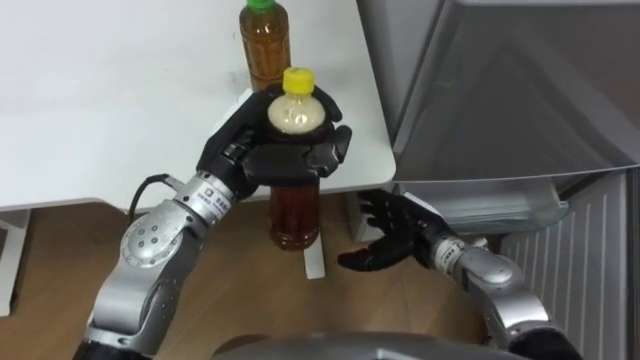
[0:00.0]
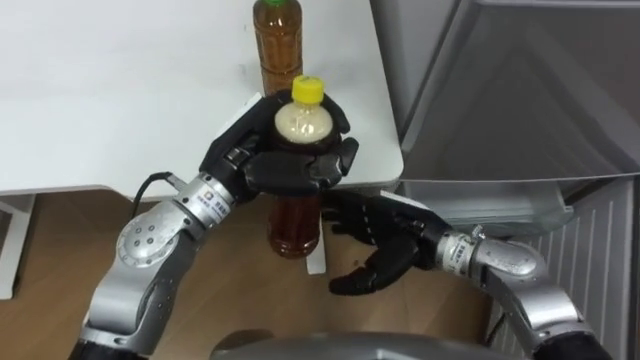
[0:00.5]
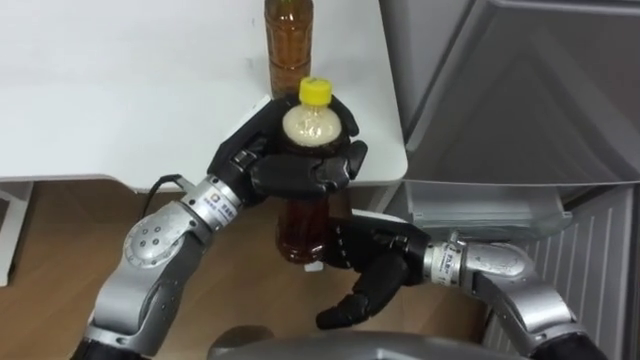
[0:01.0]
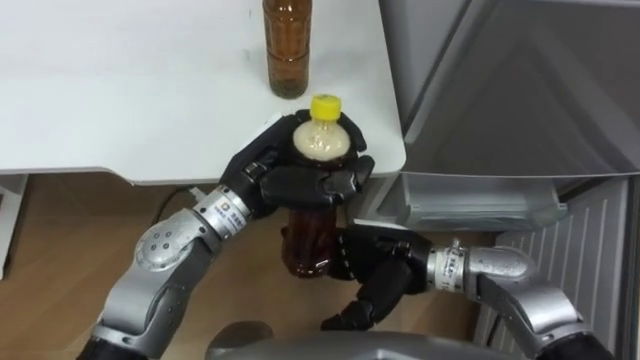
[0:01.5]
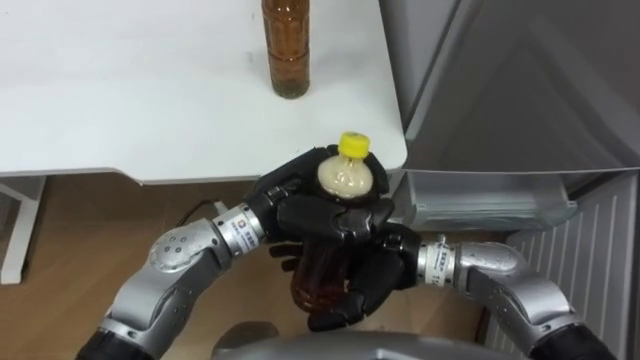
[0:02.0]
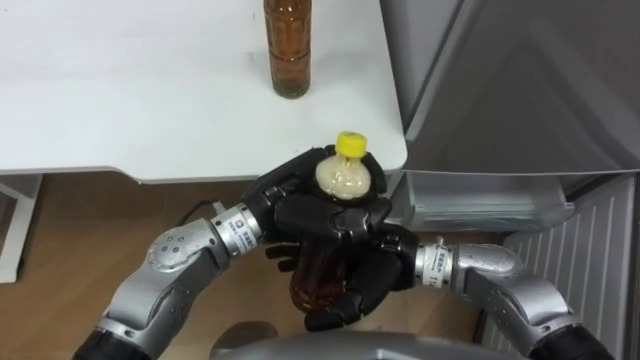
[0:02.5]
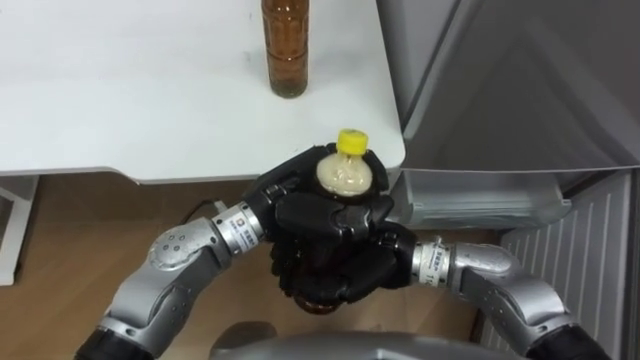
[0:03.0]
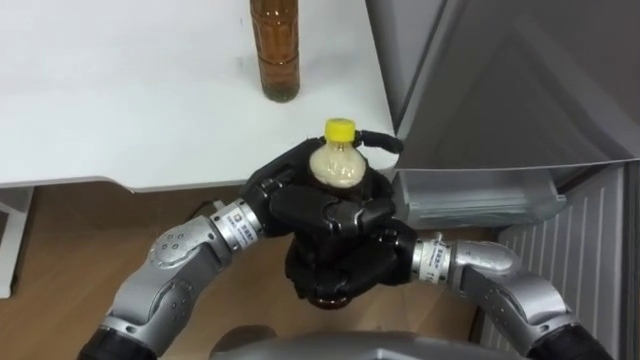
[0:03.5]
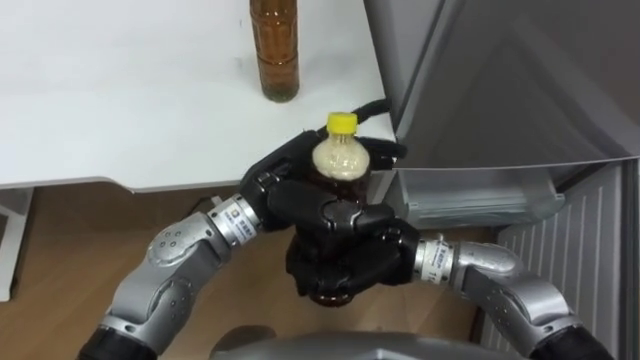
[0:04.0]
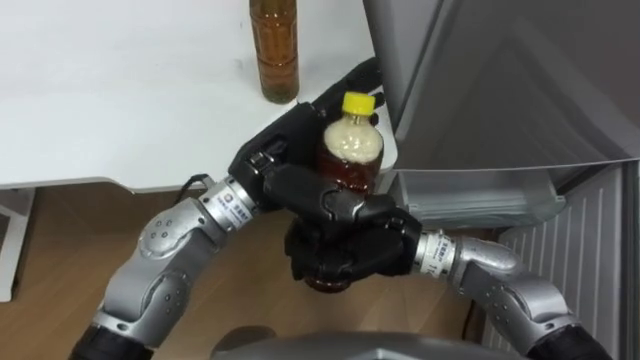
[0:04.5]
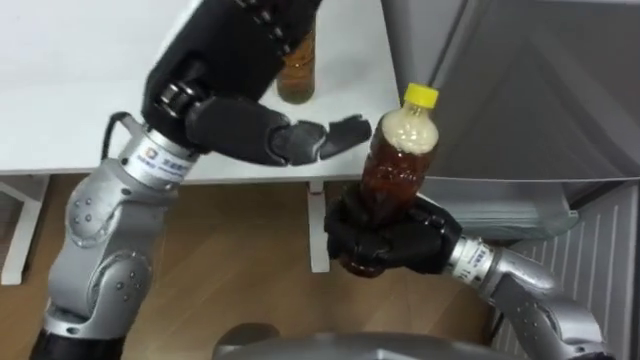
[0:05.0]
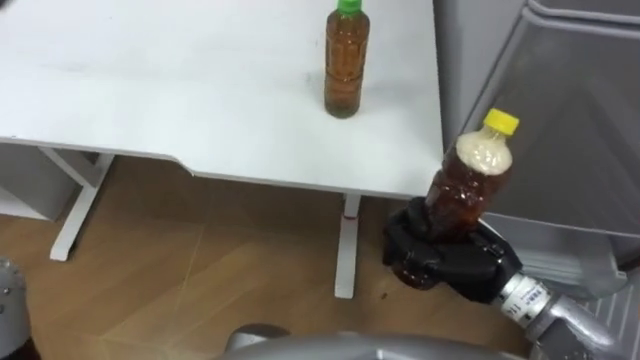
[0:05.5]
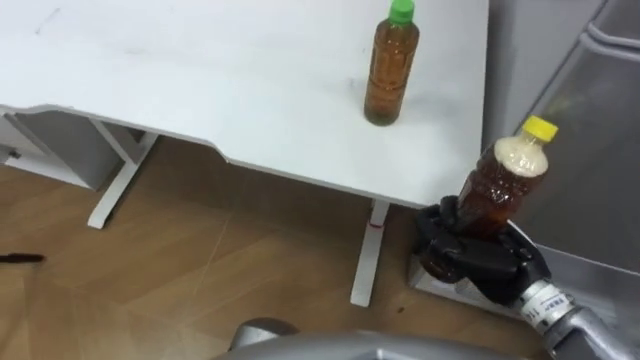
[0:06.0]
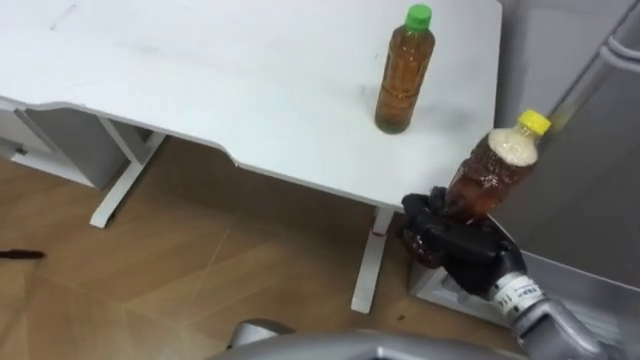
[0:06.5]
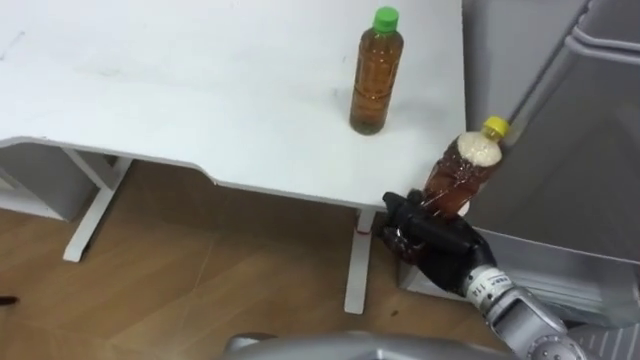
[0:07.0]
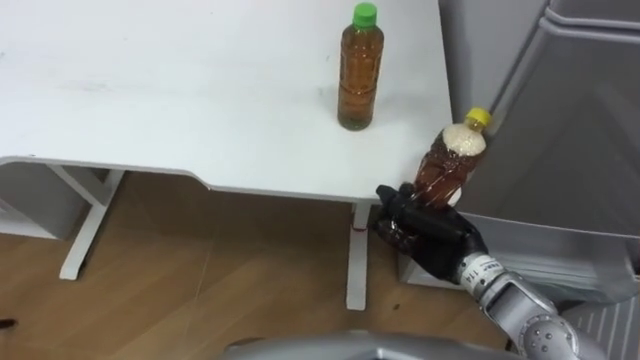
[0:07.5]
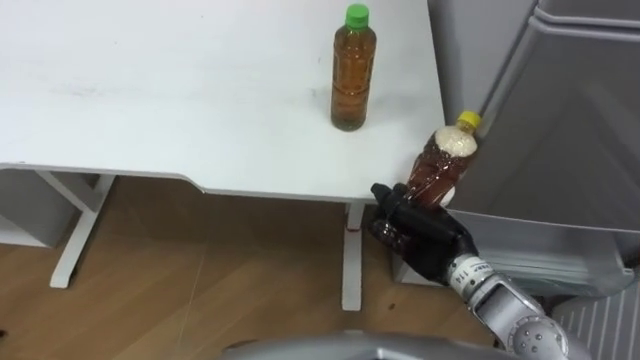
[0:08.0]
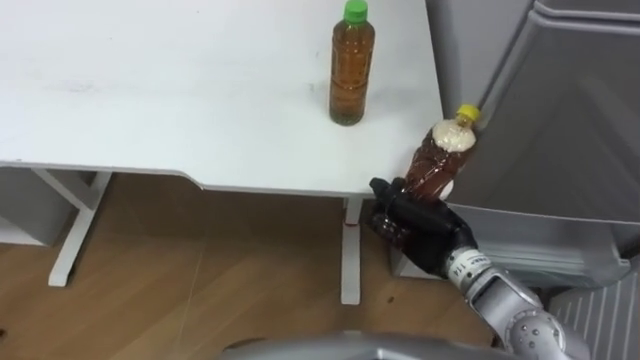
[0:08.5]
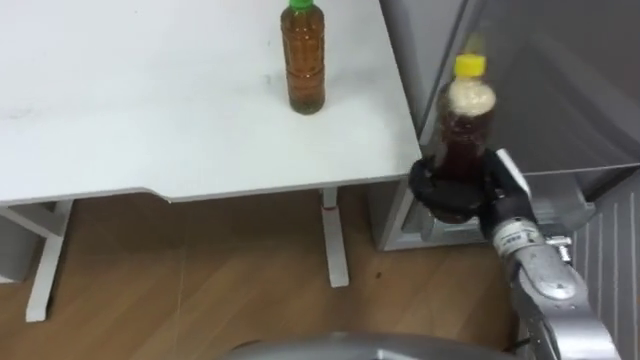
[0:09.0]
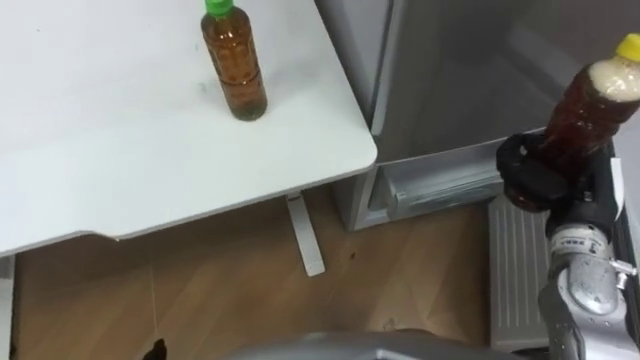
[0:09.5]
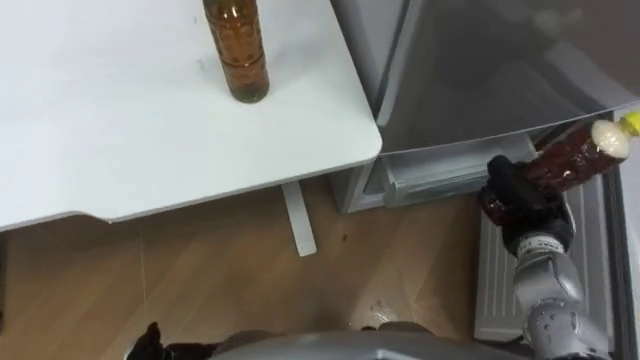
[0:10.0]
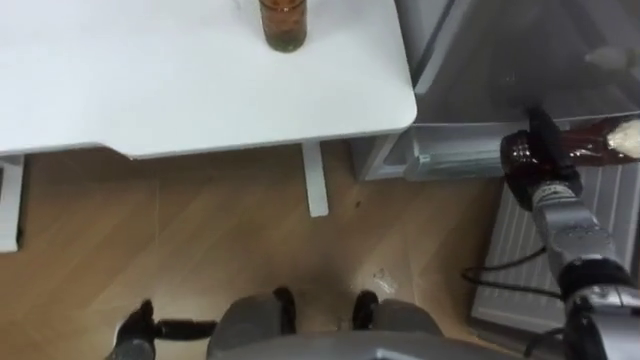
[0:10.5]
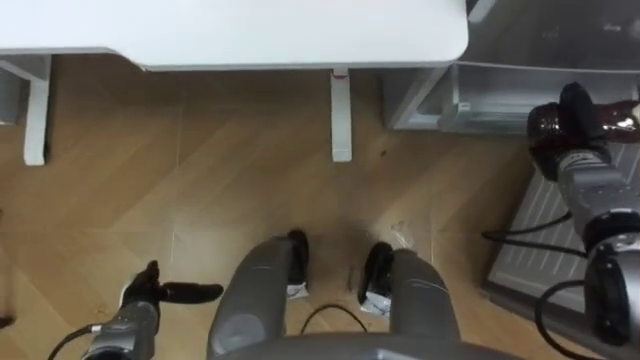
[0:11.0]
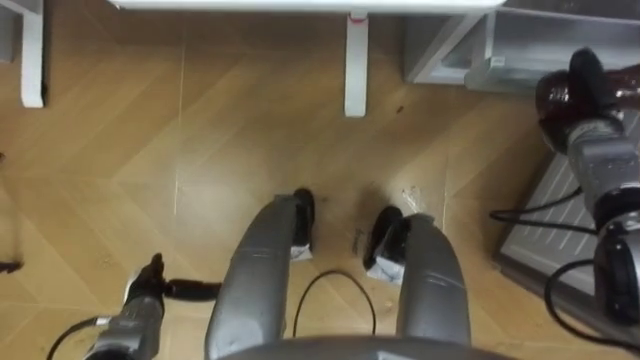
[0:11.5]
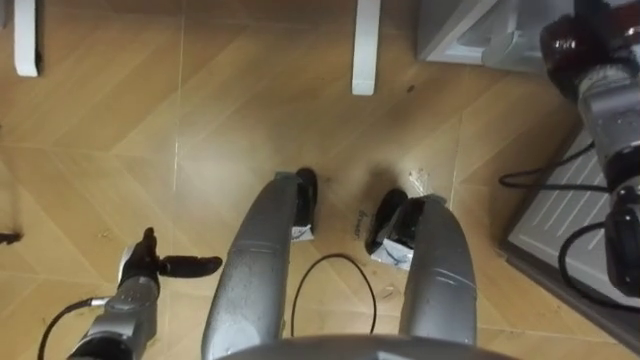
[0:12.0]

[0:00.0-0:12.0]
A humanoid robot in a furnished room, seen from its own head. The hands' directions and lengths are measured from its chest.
Task of the whole recording: Place the drink on the table on the bottom shelf of the refrigerator, then close the drawer and the refrigerator door.
0:00.0 to 0:02.0: The left hand shifts about 5 cm to the right; the right hand shifts some 10 cm upward and to the left.
0:02.0 to 0:04.0: The right hand closes; the left hand opens up.
0:04.0 to 0:06.0: The right hand travels to the right by approximately 15 cm.
0:06.0 to 0:08.0: The right hand shifts about 5 cm to the left.
0:08.0 to 0:10.0: The right hand is displaced to the right by some 15 cm.
0:10.0 to 0:12.0: The right hand moves forward and upward, about 20 cm.

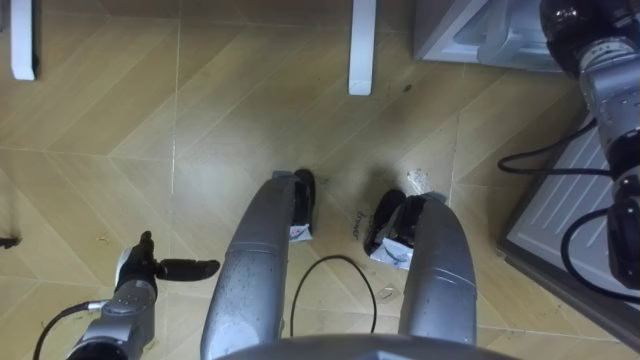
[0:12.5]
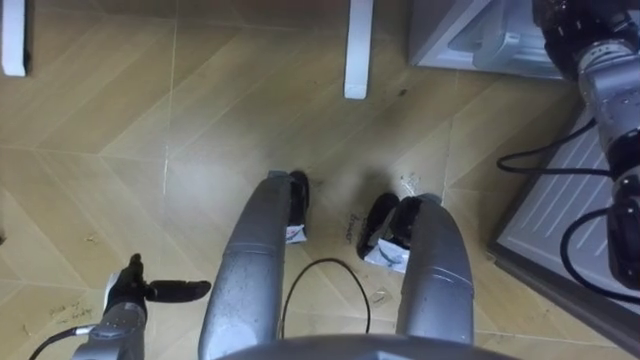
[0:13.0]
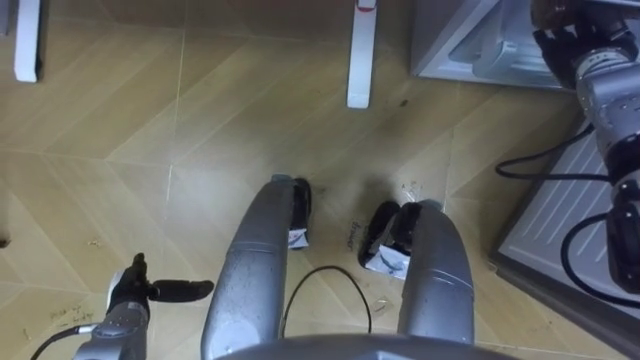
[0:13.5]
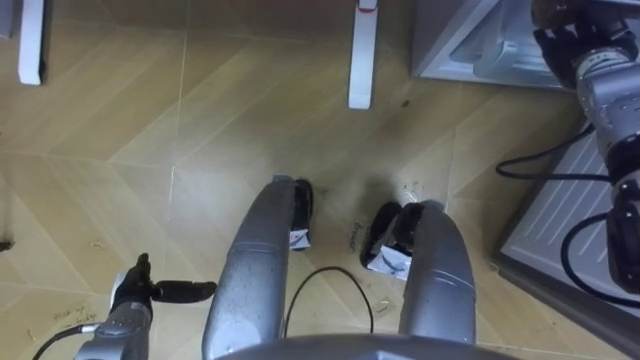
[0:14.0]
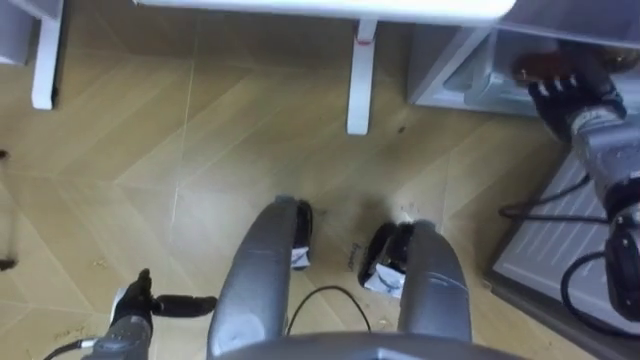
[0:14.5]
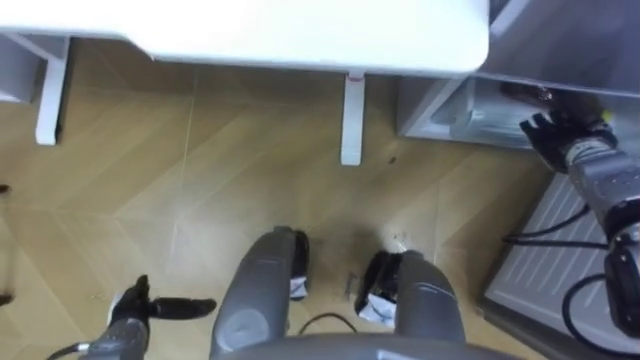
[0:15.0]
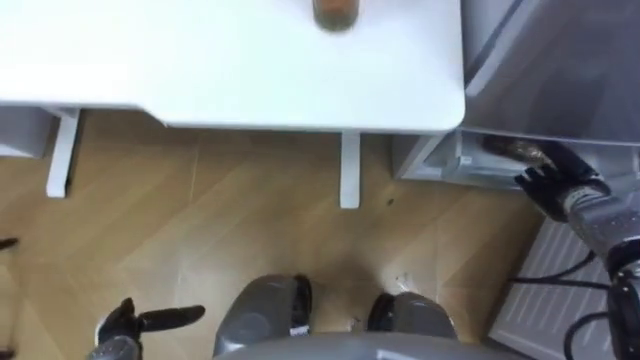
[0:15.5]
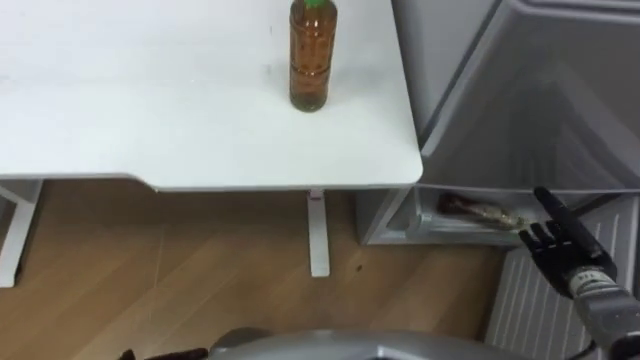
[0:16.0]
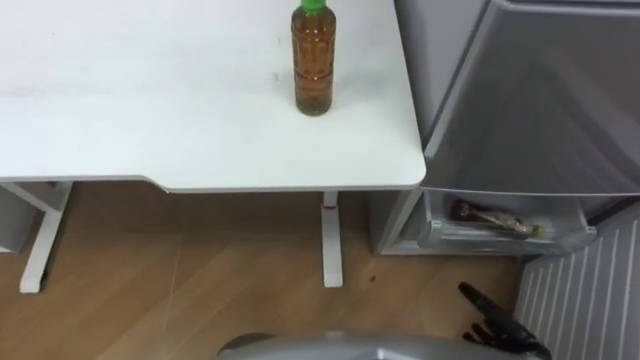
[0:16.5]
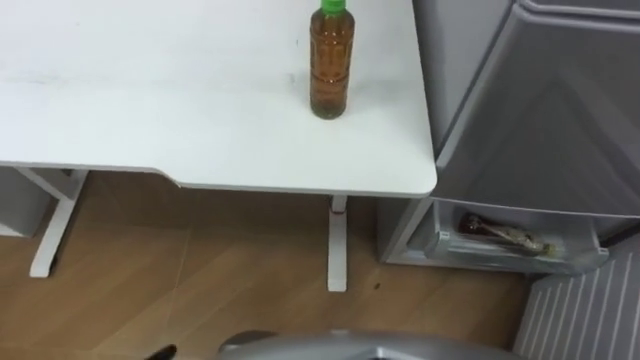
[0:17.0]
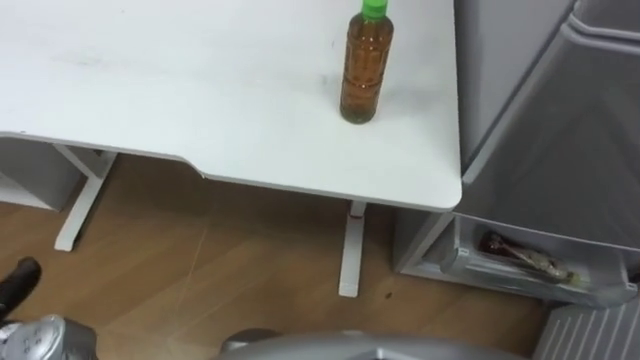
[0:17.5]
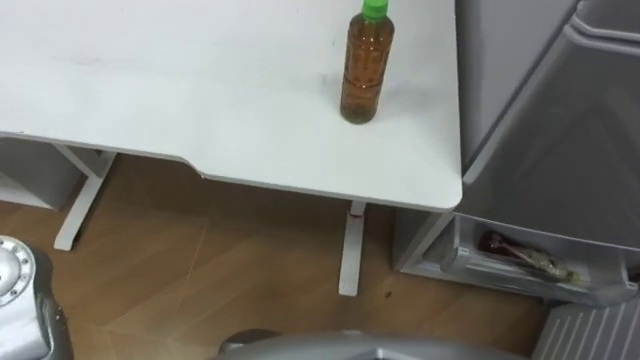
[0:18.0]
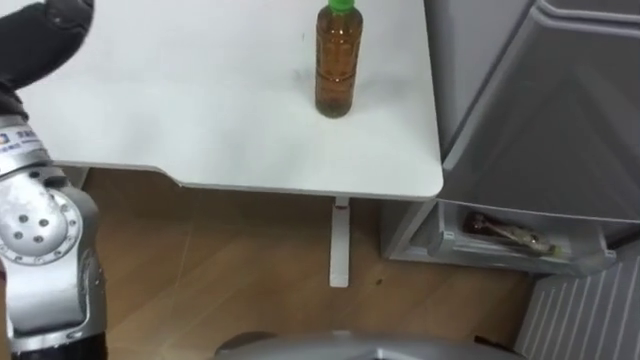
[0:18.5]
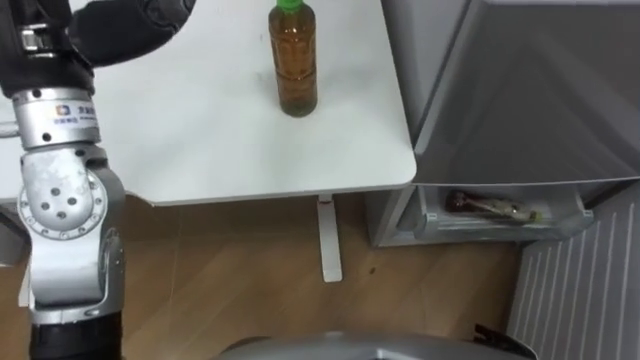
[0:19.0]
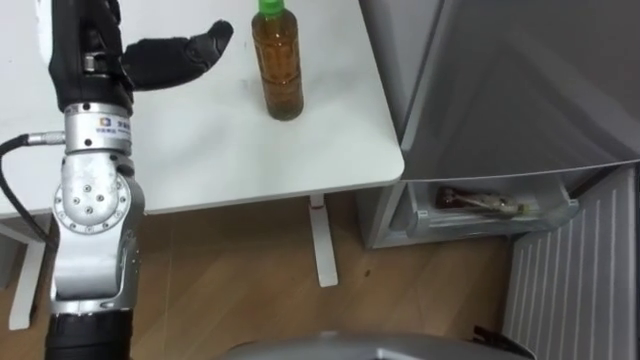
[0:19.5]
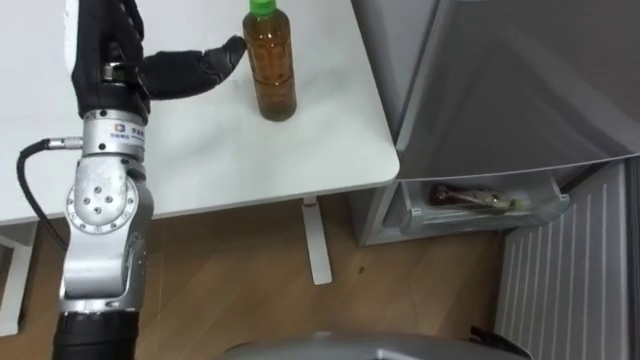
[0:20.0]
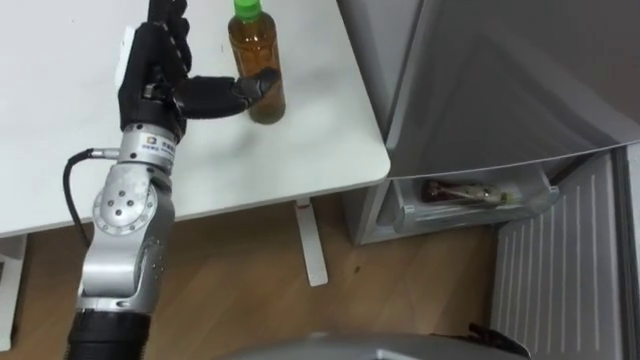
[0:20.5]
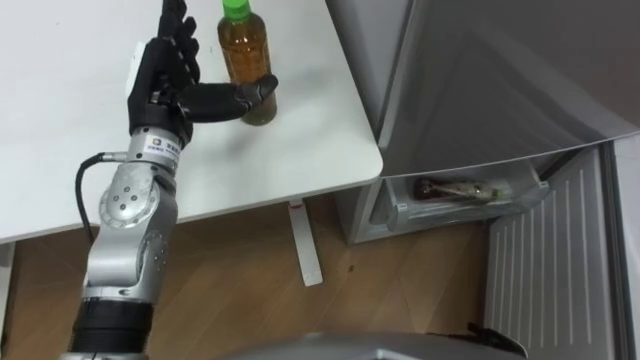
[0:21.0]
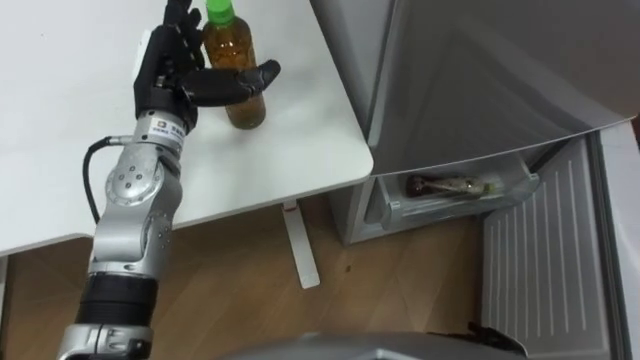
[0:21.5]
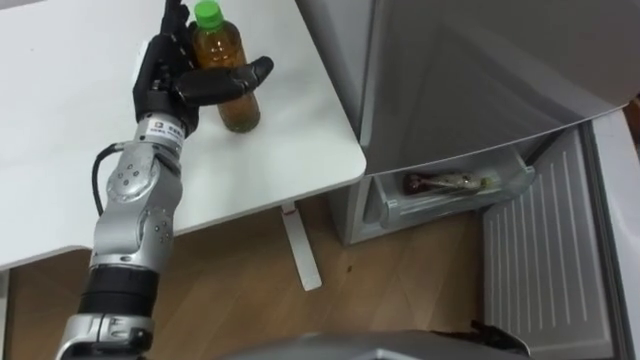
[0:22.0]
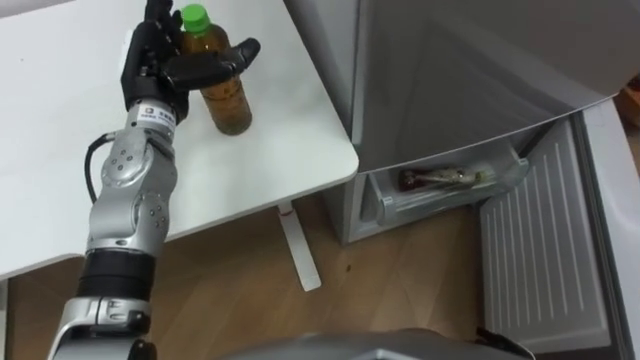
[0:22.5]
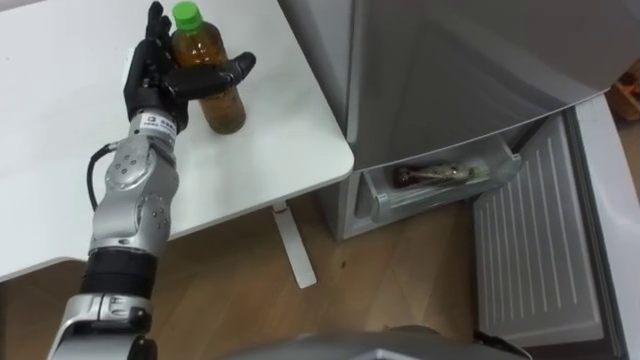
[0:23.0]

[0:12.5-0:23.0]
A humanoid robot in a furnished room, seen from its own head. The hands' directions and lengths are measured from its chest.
Task of the whole recording: Place the drink on the table on the bottom shelf of the refrigerator, then close the drawer and the refrigerator door.
0:12.5 to 0:14.5: The right hand moves downward and backward, approximately 10 cm, and opens. Meanwhile the left hand shifts about 5 cm backward.
0:14.5 to 0:16.5: The right hand shifts about 35 cm backward and downward.
0:19.0 to 0:21.0: The left hand heads downward, covering some 15 cm.
0:21.0 to 0:23.0: The left hand shifts by some 5 cm.
